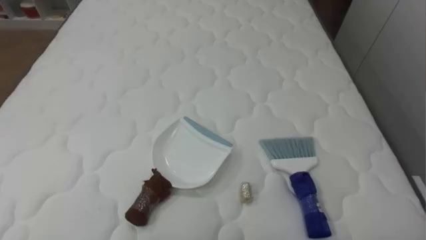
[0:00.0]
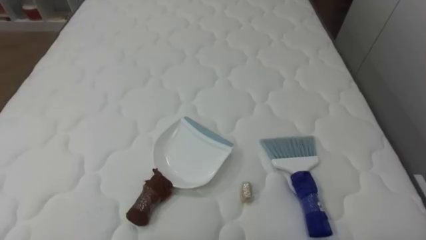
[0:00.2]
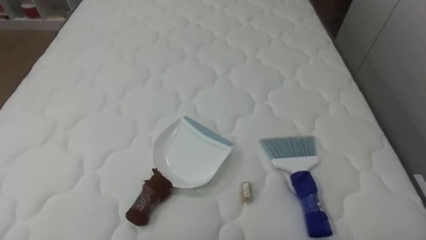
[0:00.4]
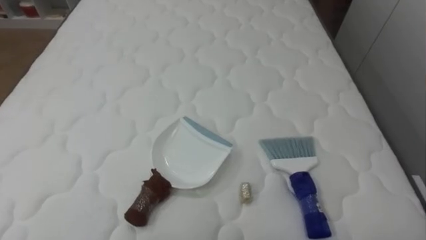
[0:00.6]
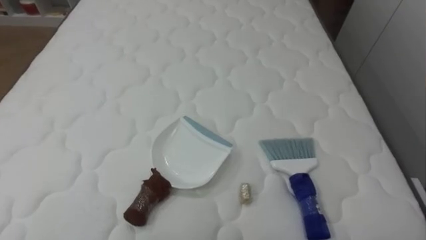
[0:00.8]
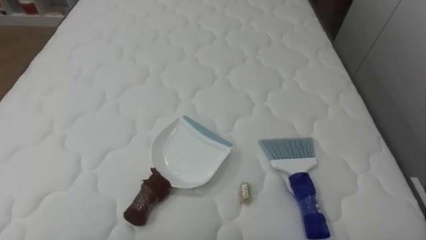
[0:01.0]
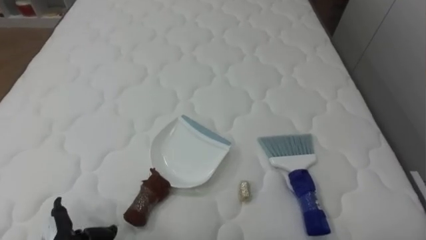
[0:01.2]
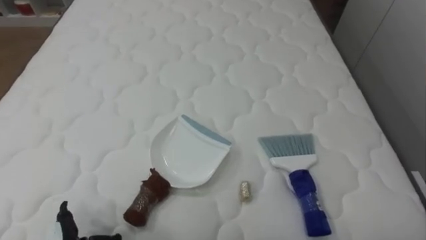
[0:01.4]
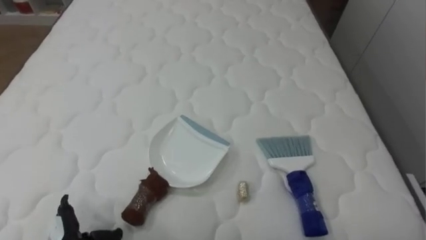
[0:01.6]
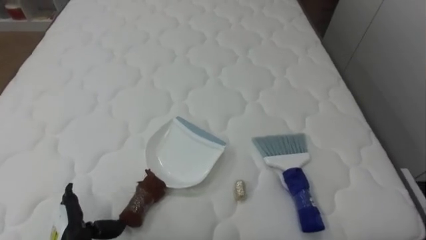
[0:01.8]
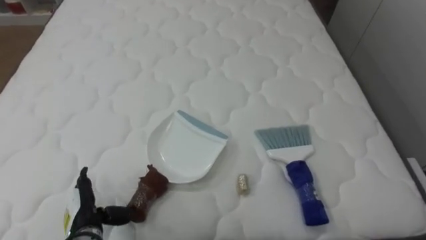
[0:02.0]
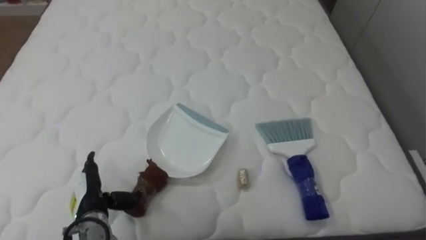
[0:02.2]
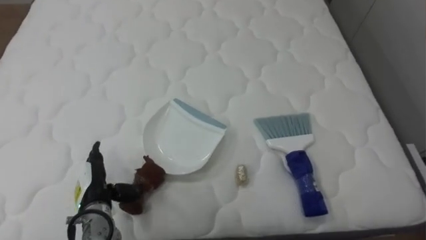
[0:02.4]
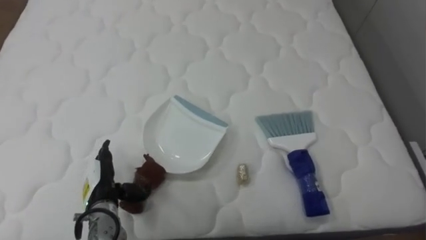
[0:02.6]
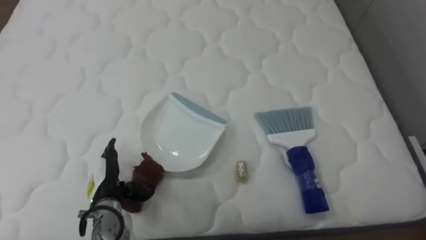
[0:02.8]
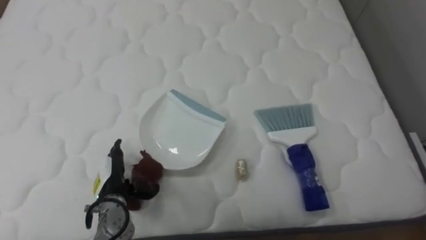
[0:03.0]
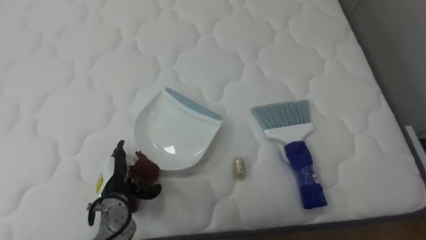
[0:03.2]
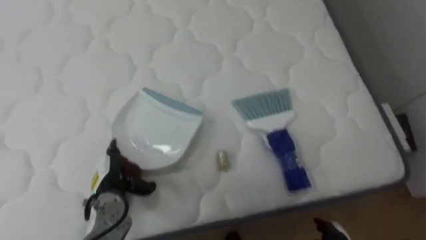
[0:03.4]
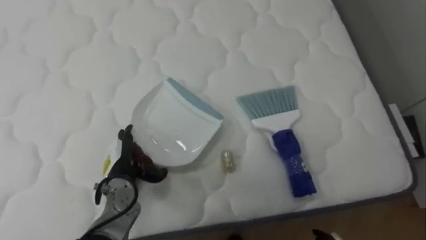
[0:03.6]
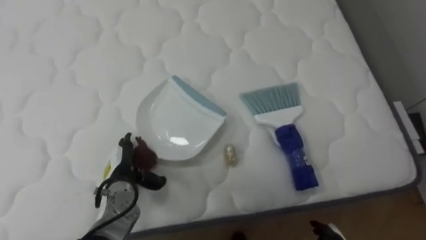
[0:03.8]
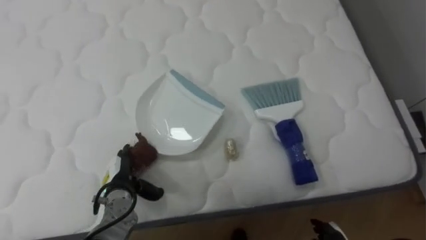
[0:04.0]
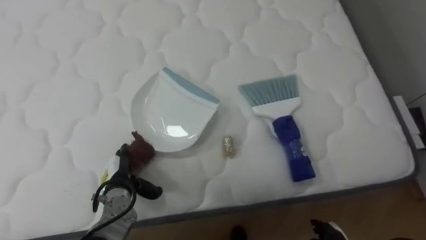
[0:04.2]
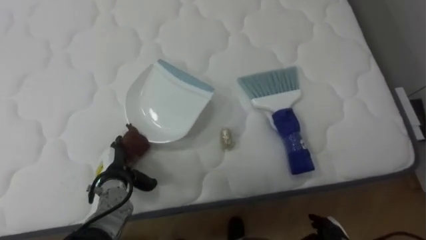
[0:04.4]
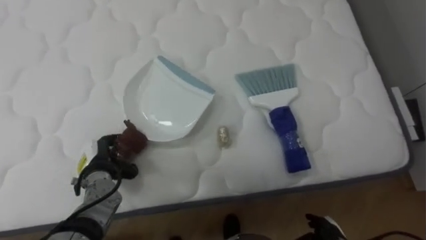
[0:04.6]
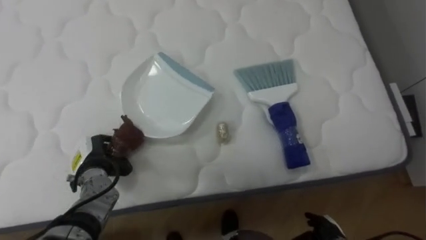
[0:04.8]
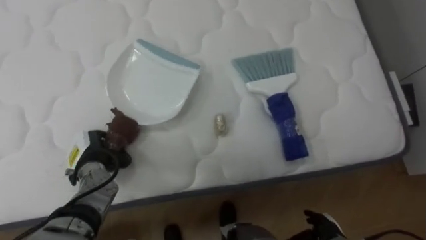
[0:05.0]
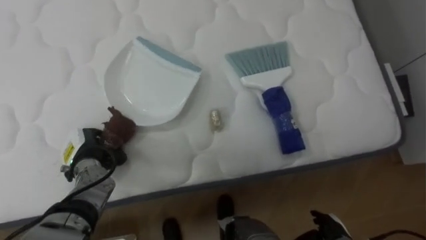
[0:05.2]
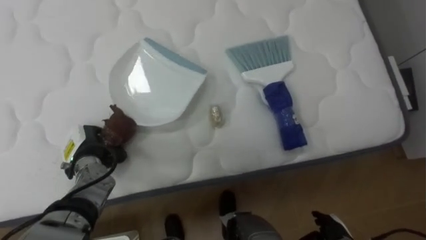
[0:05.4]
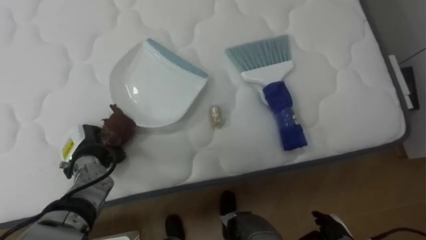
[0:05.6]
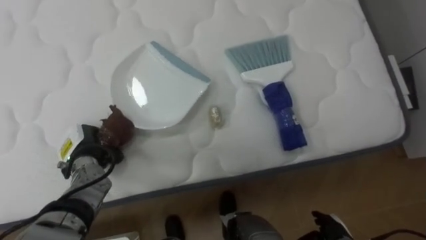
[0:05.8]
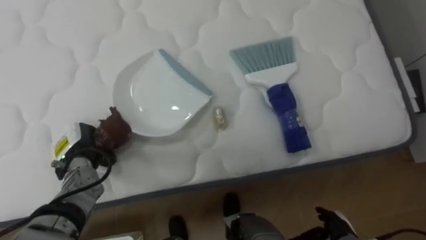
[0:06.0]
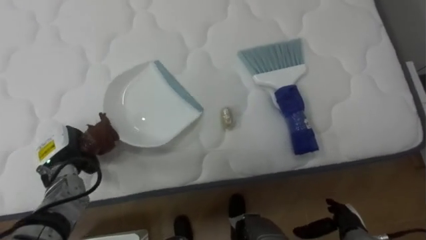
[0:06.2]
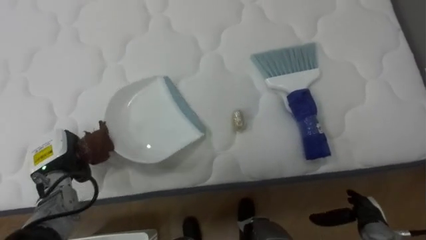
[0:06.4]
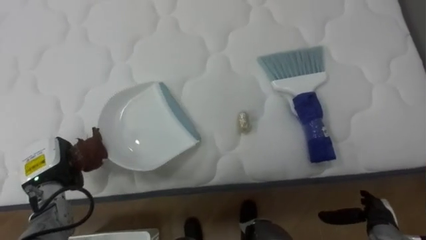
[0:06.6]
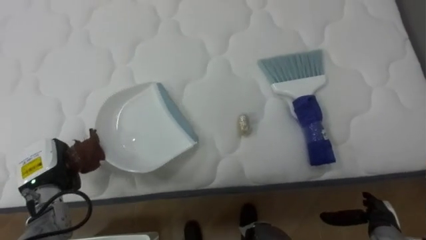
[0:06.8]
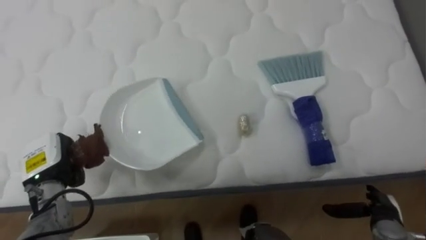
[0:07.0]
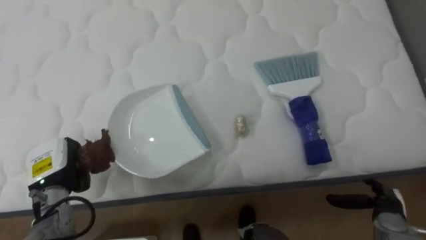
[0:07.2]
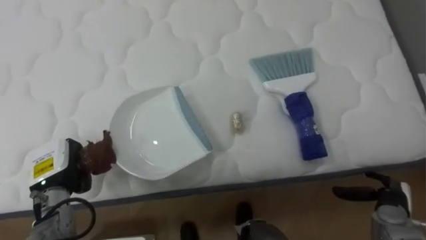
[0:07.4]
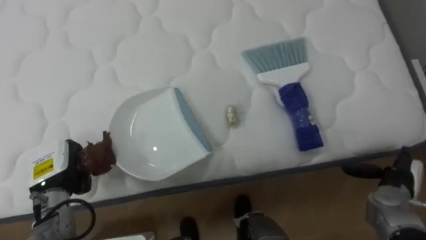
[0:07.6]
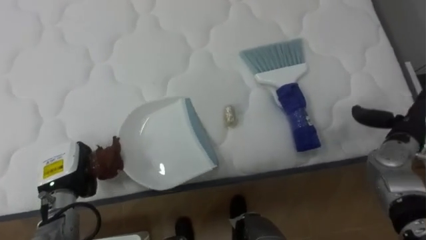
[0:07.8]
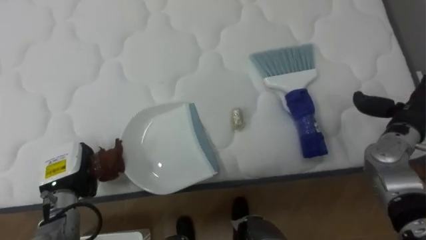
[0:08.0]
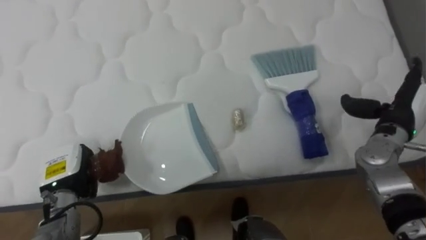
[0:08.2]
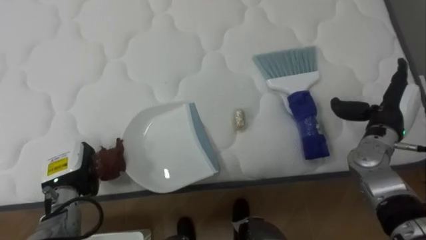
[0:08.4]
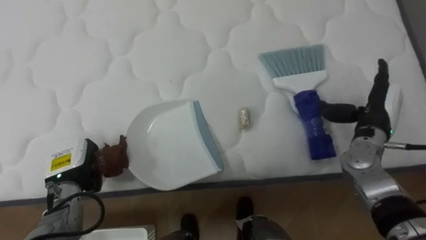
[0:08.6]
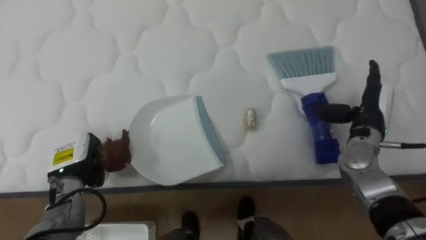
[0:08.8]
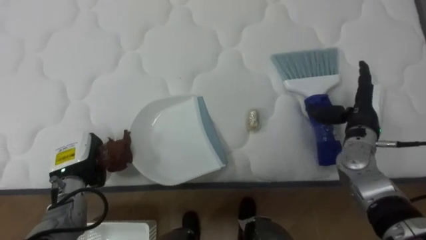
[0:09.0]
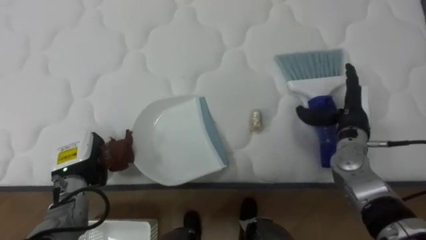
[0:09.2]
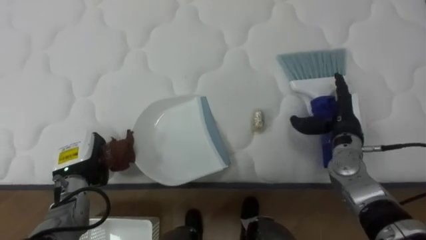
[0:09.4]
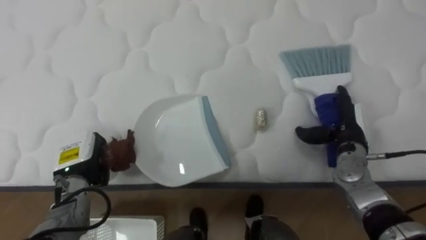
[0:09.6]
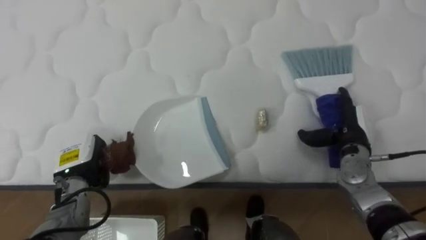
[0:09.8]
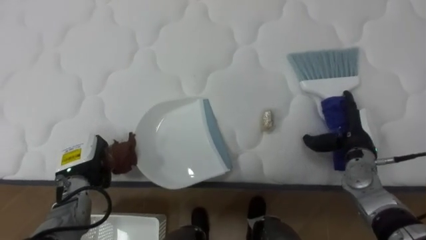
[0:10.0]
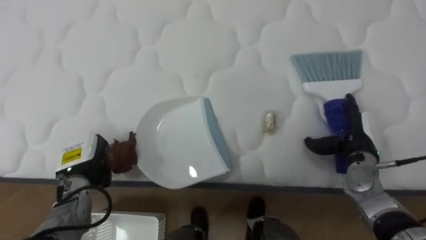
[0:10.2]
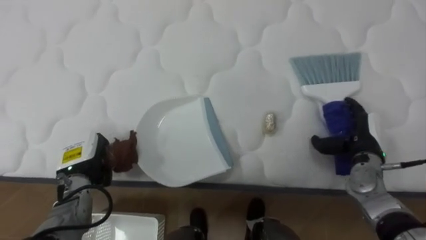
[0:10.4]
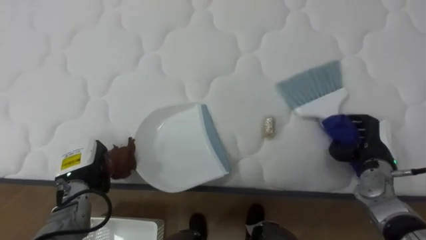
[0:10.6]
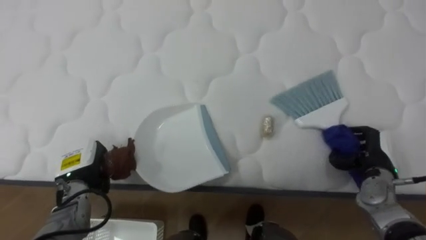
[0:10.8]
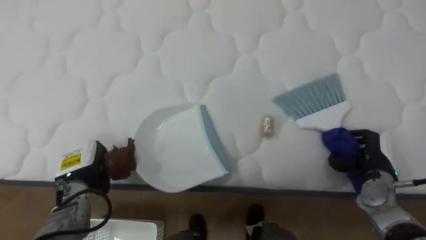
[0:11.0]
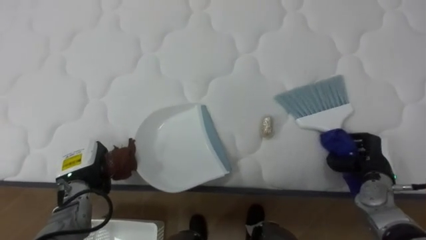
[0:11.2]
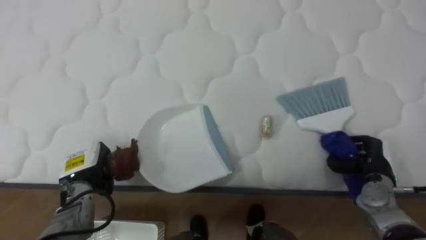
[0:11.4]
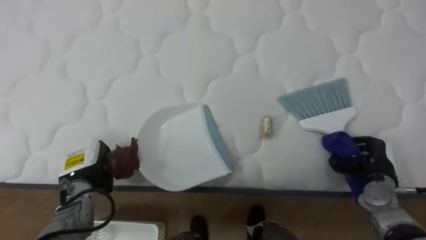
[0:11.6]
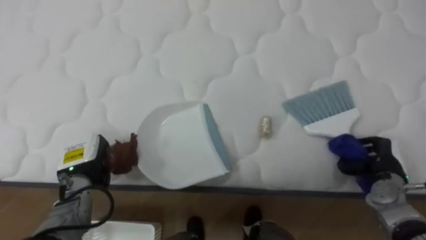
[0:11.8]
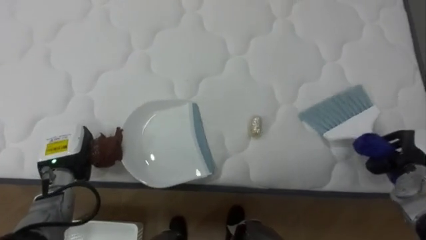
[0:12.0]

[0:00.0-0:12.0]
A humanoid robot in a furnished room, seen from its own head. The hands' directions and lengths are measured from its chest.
Task of the whole recording: Pick up the brush on your right and the dustpan on your left. Use the brush to sweep the crumpled paper on the bed into the dustpan, then turn left and empty it into the basket.
0:01.6 to 0:03.0: The left hand heads forward and to the right, covering some 15 cm.
0:04.4 to 0:06.0: The left hand shifts roughly 10 cm to the left and upward, and closes up.
0:06.0 to 0:07.6: The left hand shifts approximately 5 cm backward. Meanwhile the right hand moves to the right, upward and forward, approximately 15 cm.
0:07.6 to 0:09.0: The right hand travels upward, forward and to the left by some 15 cm.
0:09.0 to 0:10.4: The right hand is displaced downward by roughly 5 cm.
0:10.4 to 0:12.0: The right hand travels to the right by approximately 10 cm, and closes up.

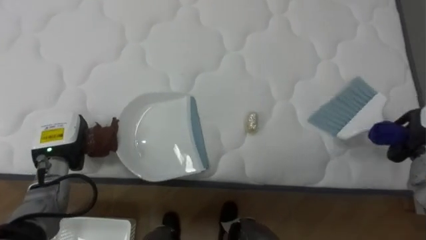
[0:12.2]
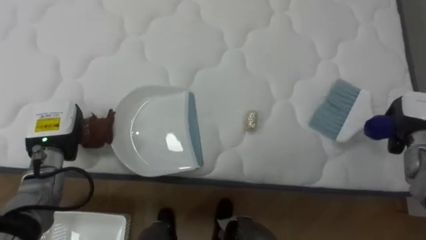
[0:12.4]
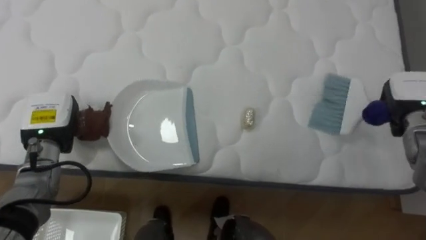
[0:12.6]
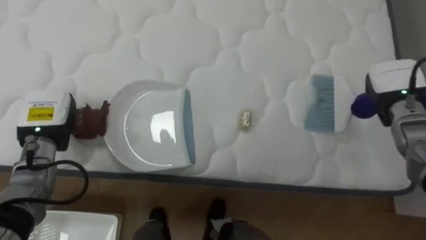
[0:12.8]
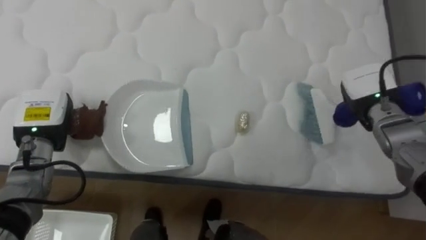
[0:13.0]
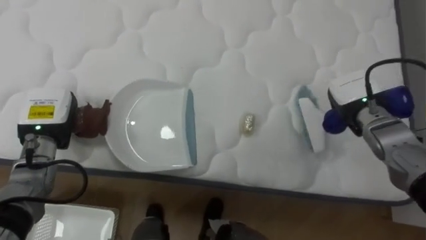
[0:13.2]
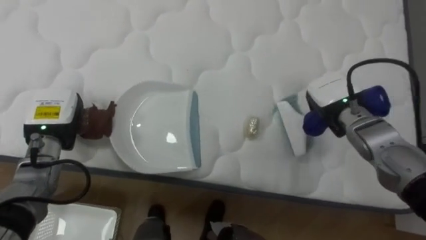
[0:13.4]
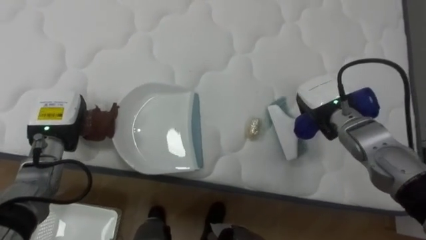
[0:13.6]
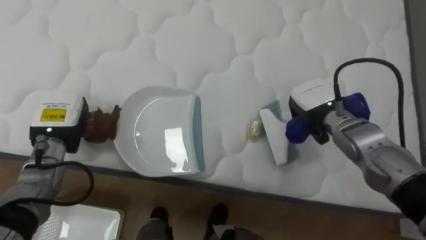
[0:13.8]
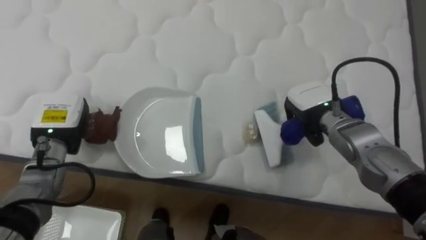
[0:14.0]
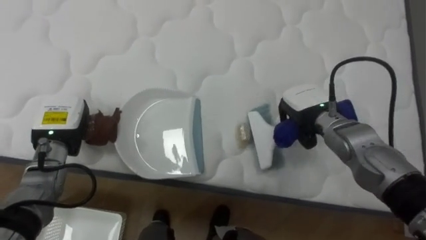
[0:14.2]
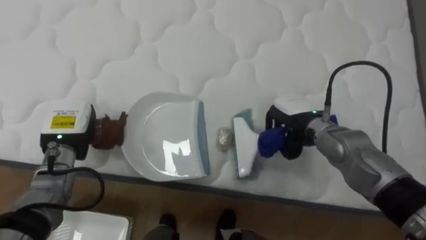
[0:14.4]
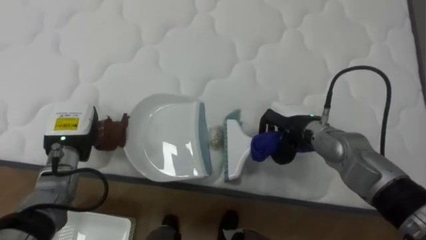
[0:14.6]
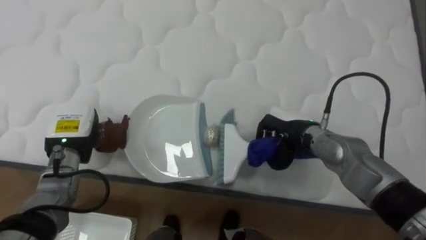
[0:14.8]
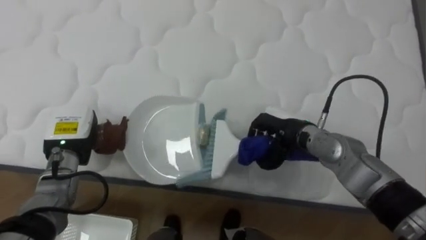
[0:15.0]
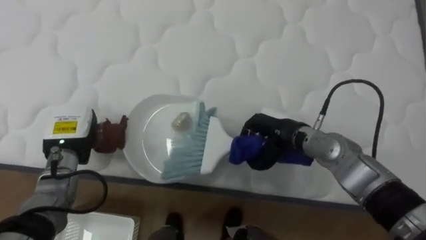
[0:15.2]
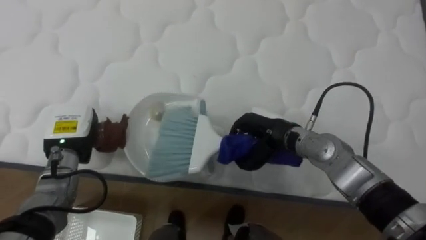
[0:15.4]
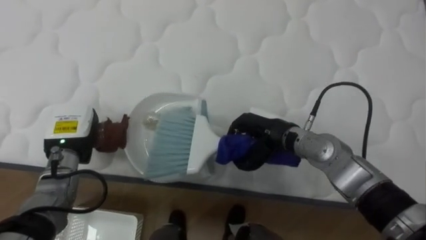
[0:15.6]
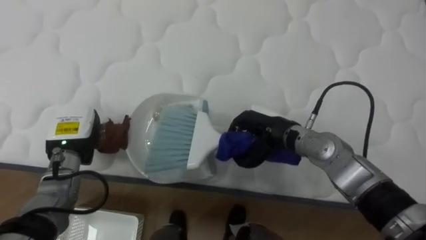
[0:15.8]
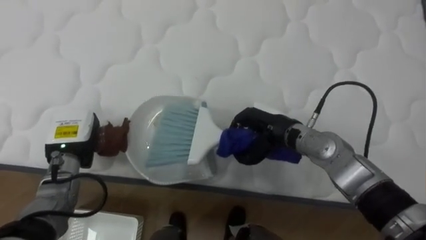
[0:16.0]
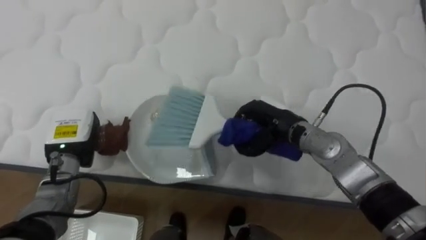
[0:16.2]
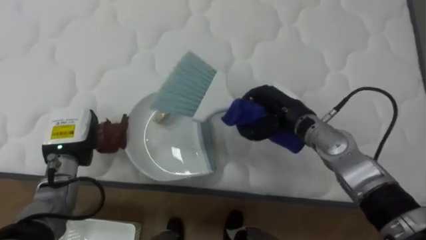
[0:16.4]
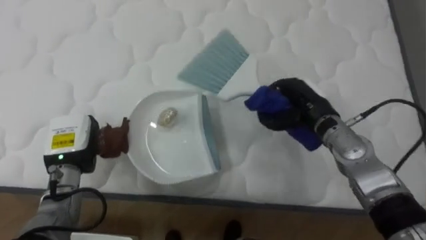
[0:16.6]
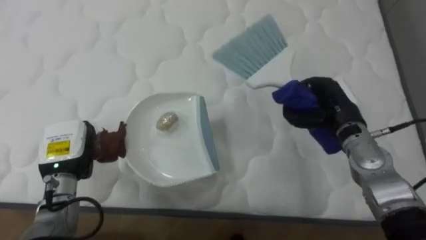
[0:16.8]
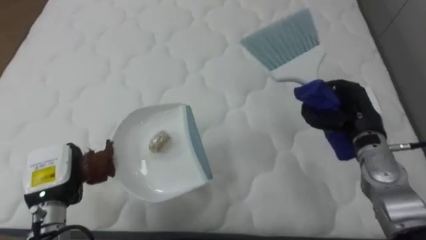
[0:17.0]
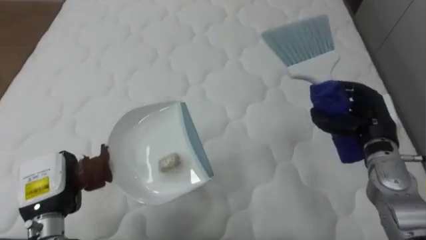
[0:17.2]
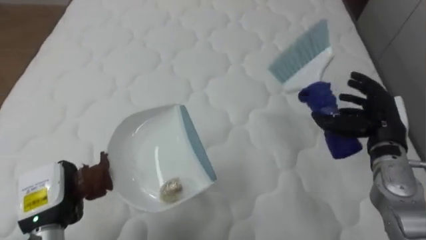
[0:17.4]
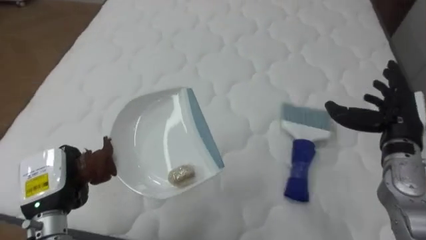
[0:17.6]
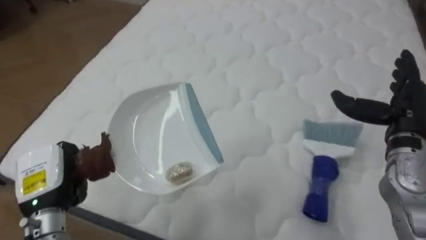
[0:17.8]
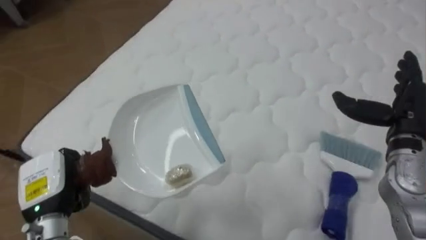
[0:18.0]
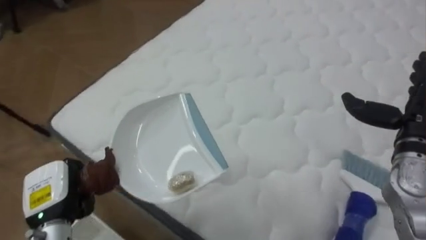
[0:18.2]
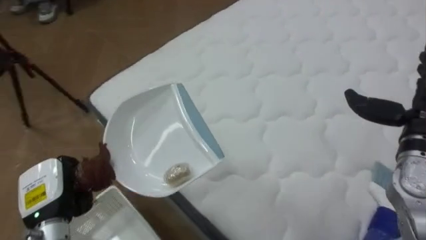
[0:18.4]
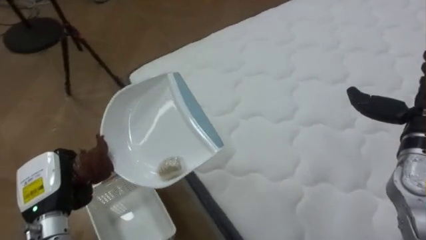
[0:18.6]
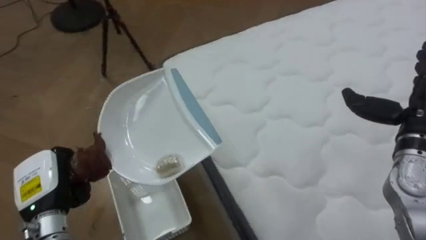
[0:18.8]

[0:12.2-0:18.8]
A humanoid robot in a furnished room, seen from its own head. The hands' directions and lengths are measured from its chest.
Task of the whole recording: Pick up the brush on your right and the dustpan on your left. Use the brush to sweep the crumpled paper on the bed into the dustpan, then turn left and empty it into the basket.
0:13.8 to 0:15.4: The right hand moves to the left, some 10 cm.
0:15.4 to 0:17.2: The right hand heads to the right, covering approximately 20 cm. The left hand travels backward by roughly 10 cm.
0:17.2 to 0:18.8: The robot turns to its left by about 55 degrees.
